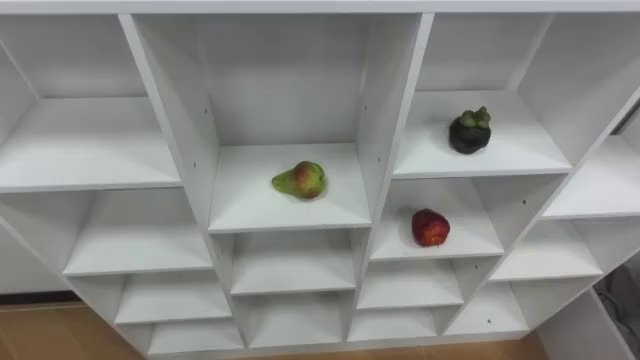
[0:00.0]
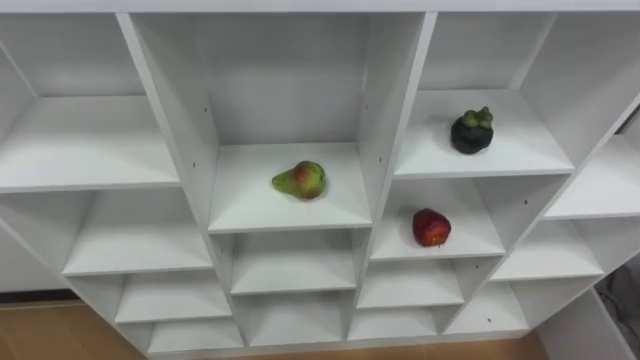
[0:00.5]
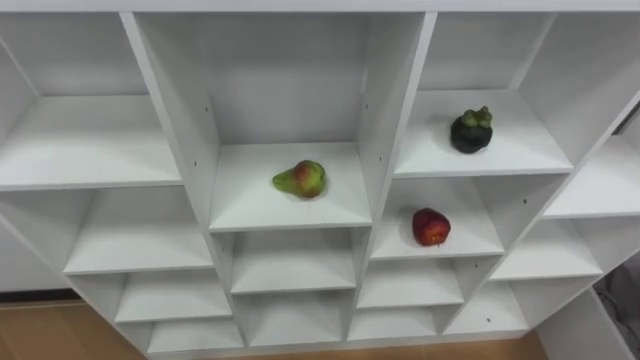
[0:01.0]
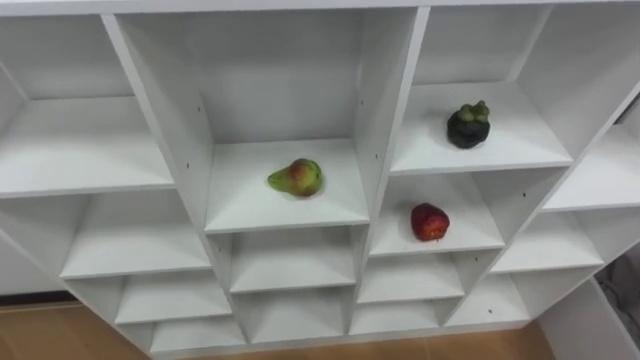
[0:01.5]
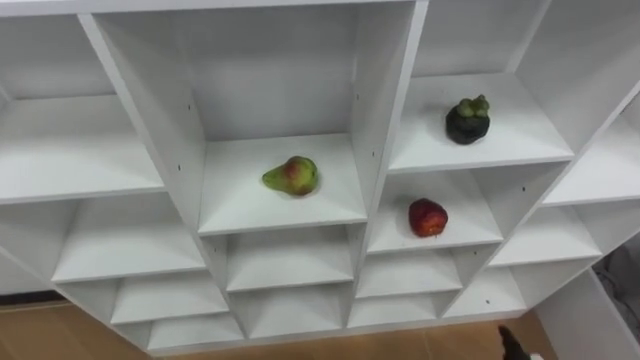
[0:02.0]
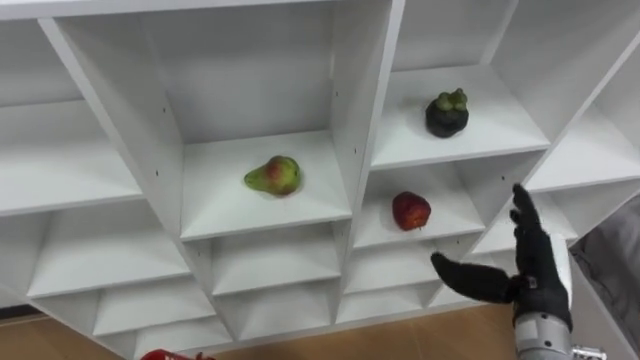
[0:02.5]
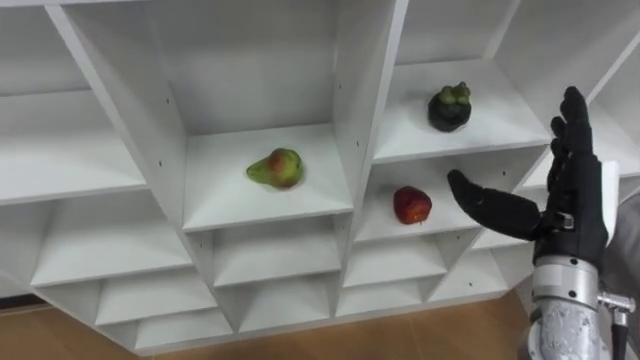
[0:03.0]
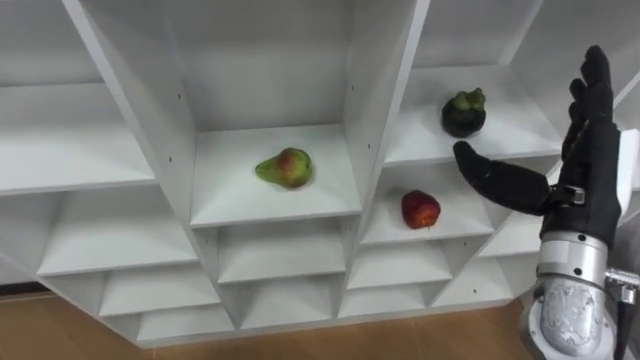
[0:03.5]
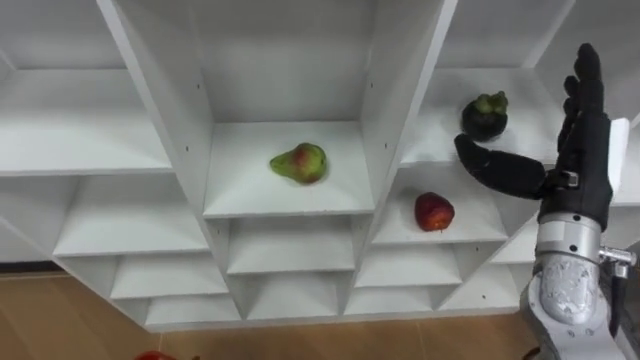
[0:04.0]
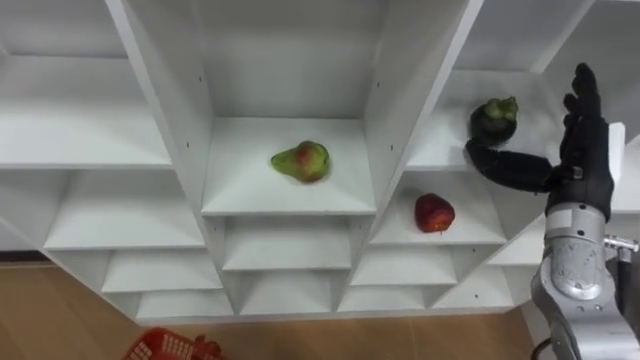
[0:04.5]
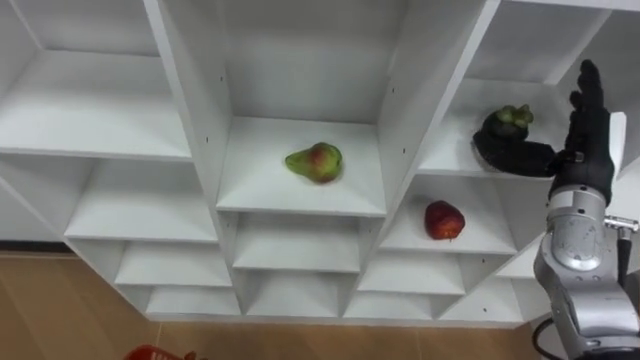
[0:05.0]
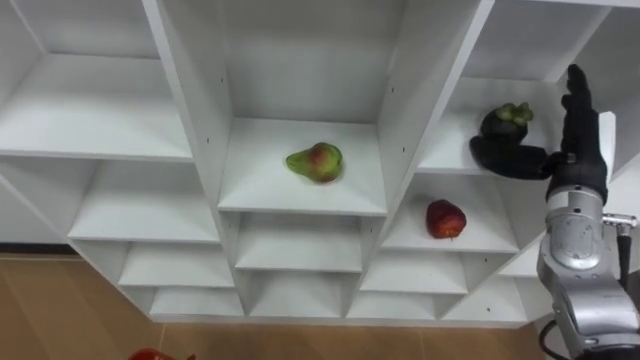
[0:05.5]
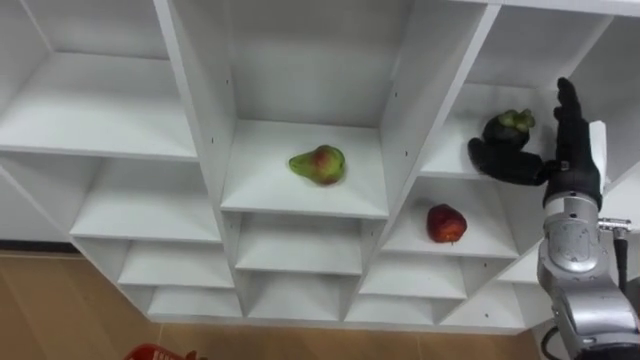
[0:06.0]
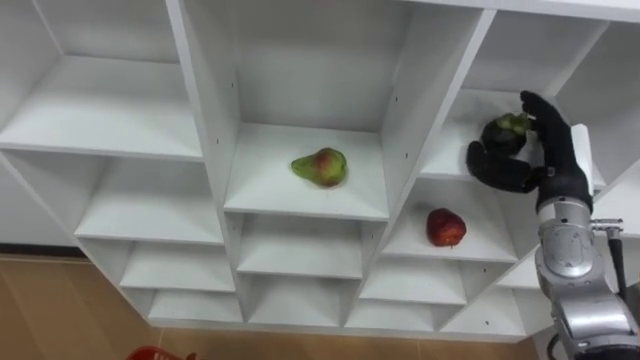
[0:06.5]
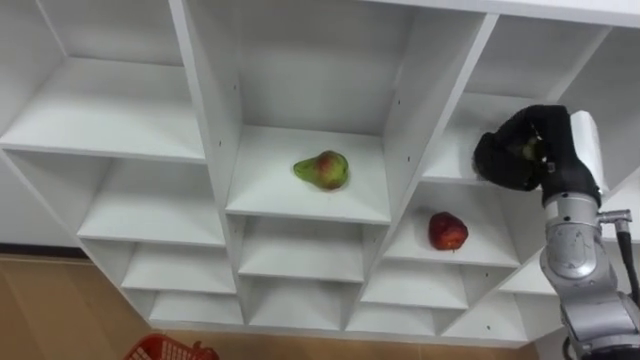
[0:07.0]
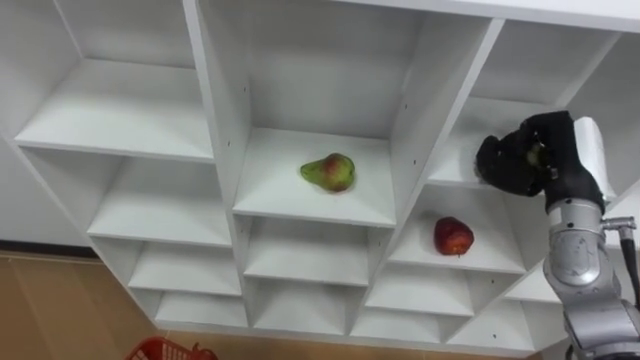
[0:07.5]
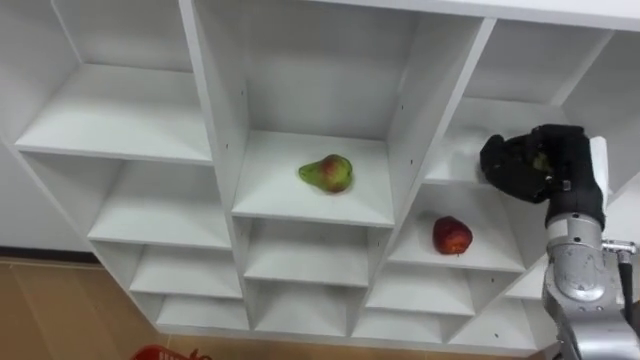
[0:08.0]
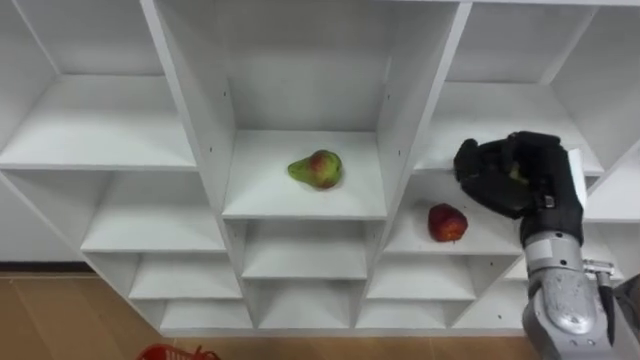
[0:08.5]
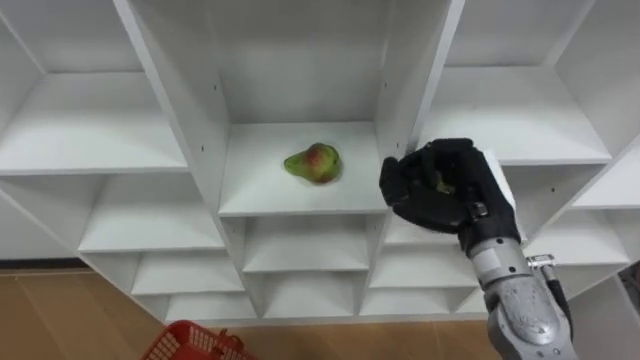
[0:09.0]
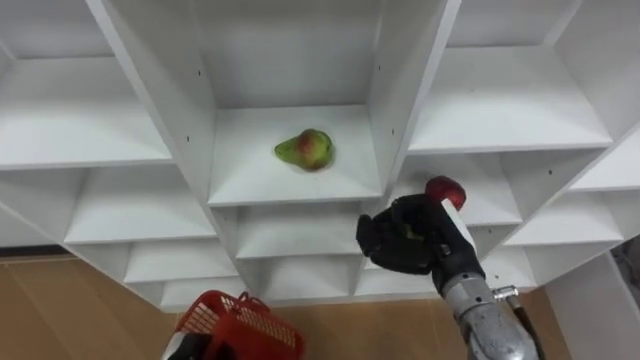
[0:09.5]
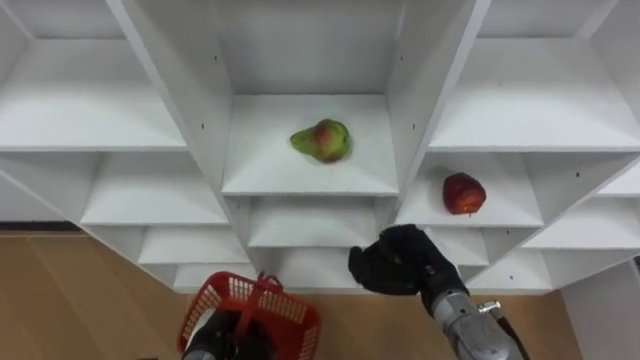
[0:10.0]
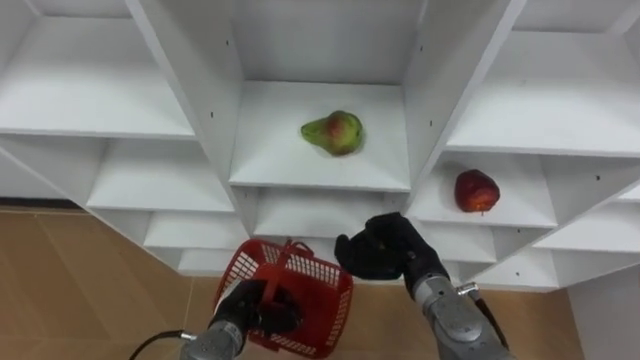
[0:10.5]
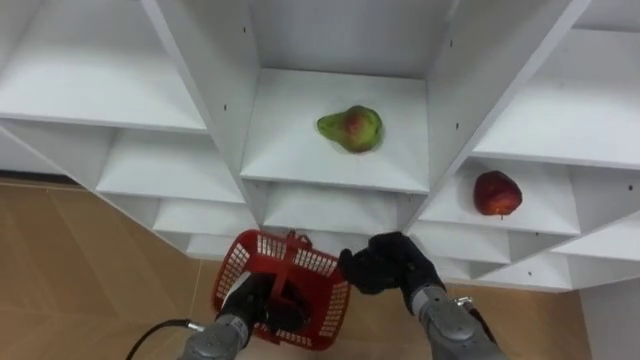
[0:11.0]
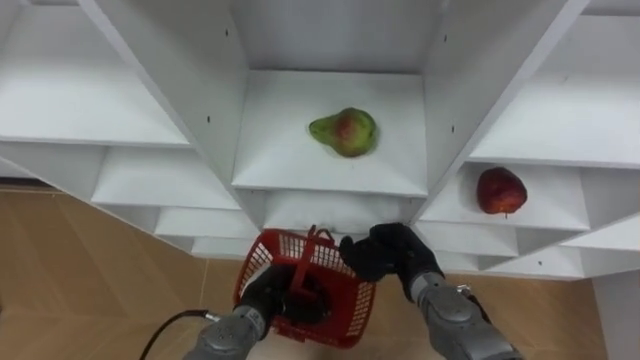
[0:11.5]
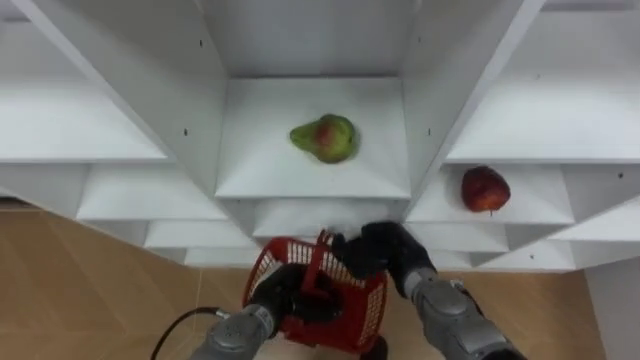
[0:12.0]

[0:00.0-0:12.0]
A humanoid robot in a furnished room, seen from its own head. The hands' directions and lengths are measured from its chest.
Task of the whole recording: Hold the basket and collect the fruits from 3 different cells of the closet into it.
0:04.0 to 0:06.0: The right hand is displaced downward and forward by roughly 5 cm.
0:06.0 to 0:08.0: The right hand closes its fingers.
0:08.0 to 0:10.0: The right hand travels to the left and downward by approximately 20 cm.
0:10.0 to 0:12.0: The right hand changes place by some 5 cm, while the left hand travels to the right and forward by some 10 cm.

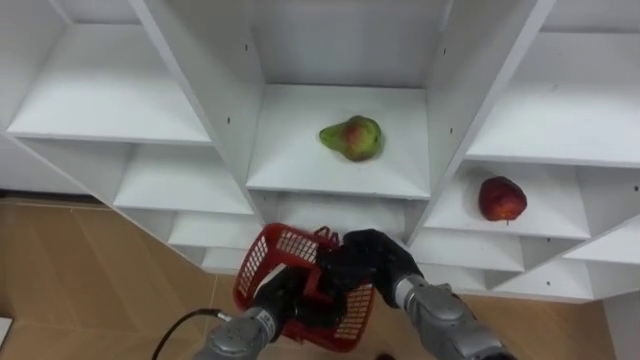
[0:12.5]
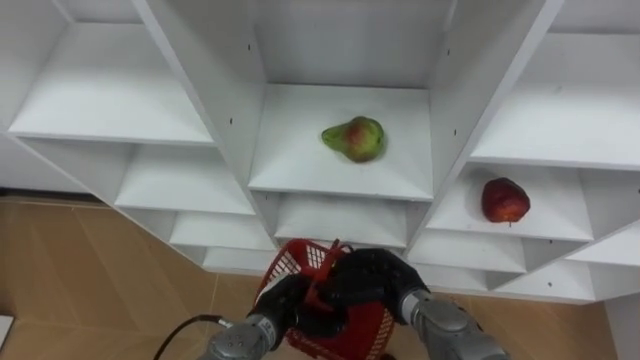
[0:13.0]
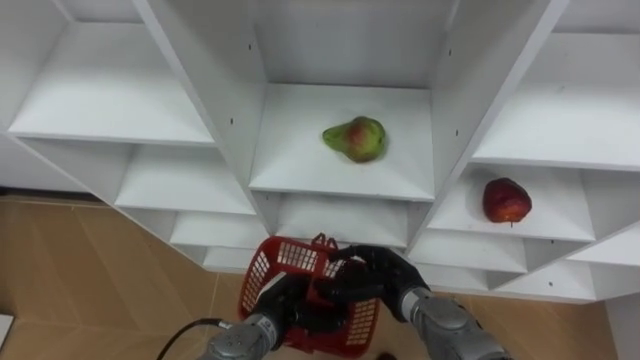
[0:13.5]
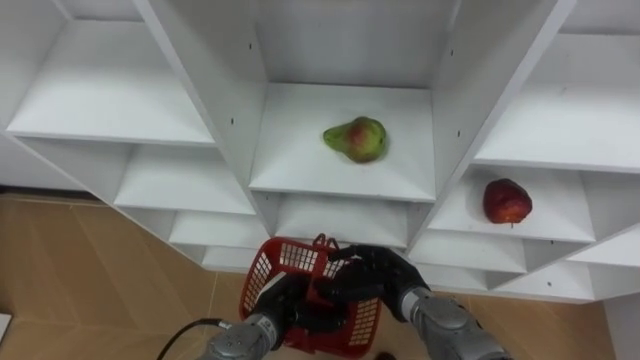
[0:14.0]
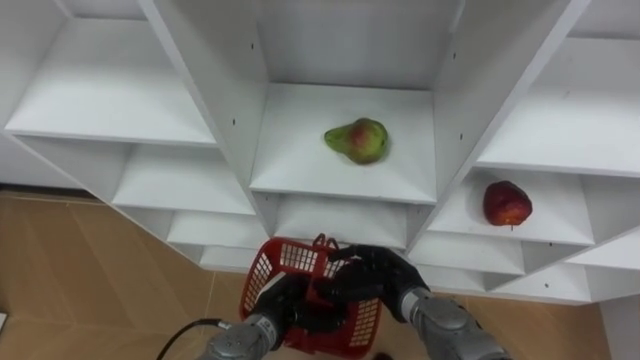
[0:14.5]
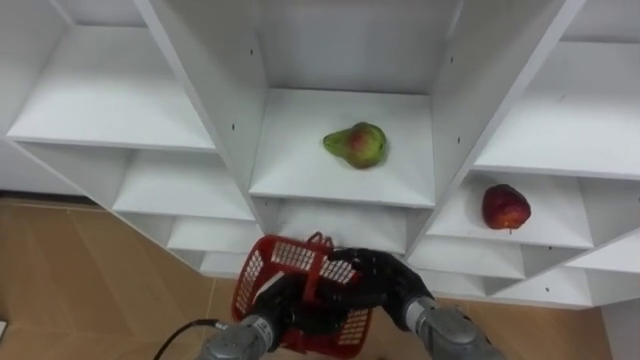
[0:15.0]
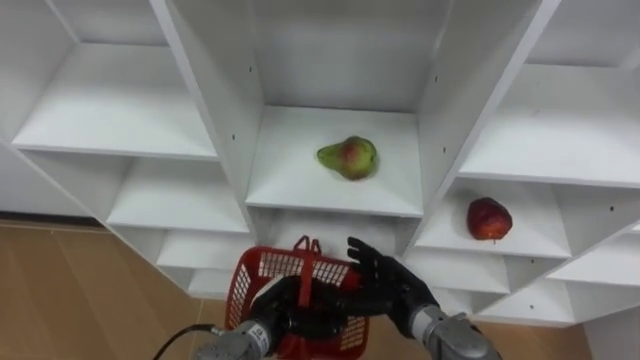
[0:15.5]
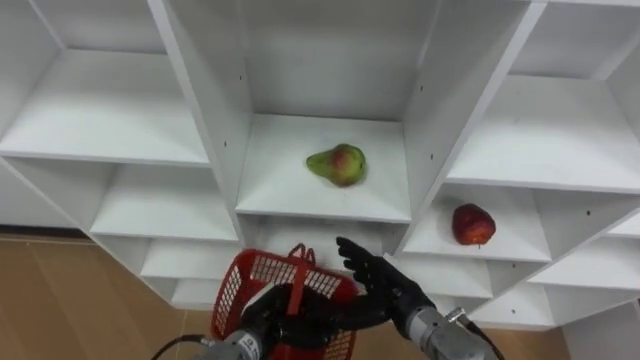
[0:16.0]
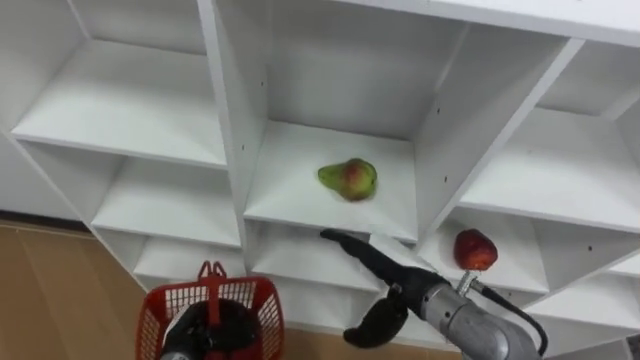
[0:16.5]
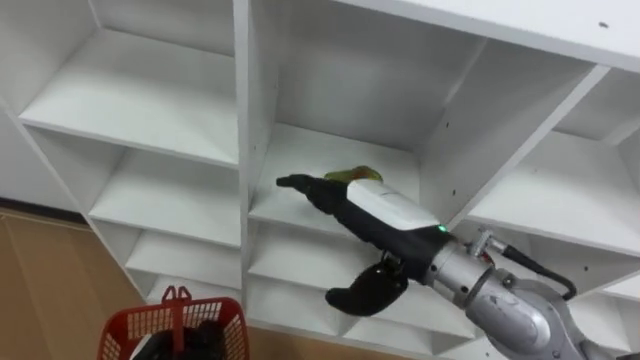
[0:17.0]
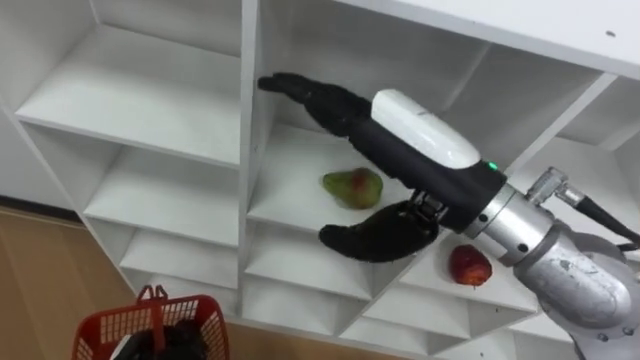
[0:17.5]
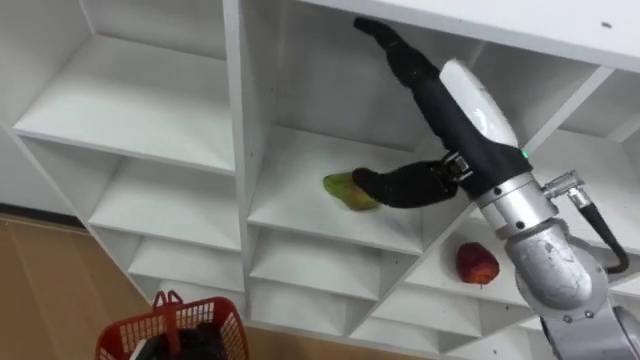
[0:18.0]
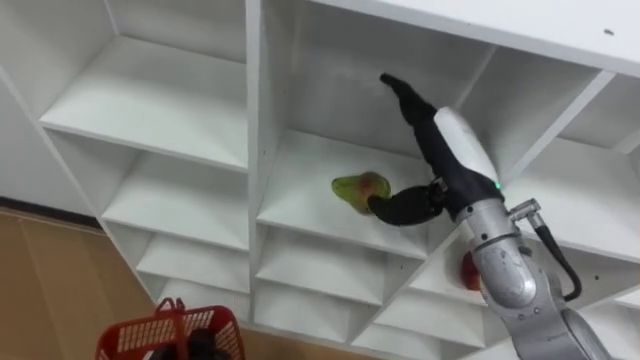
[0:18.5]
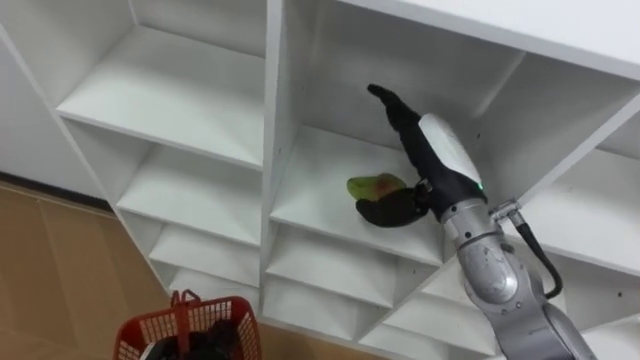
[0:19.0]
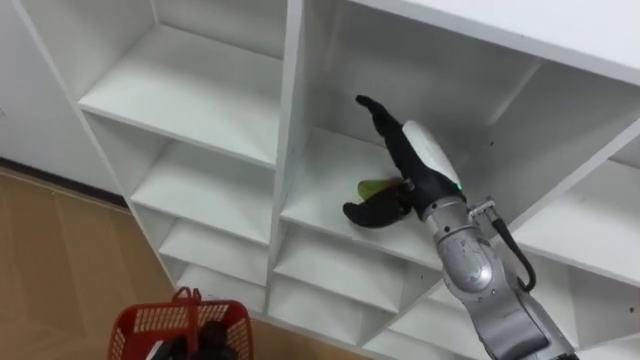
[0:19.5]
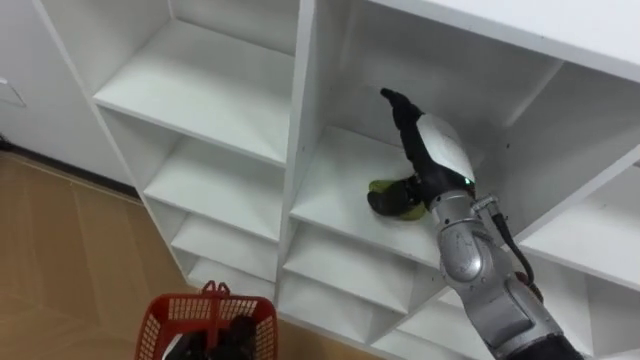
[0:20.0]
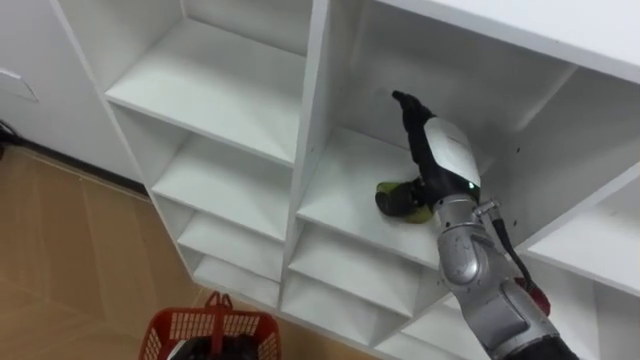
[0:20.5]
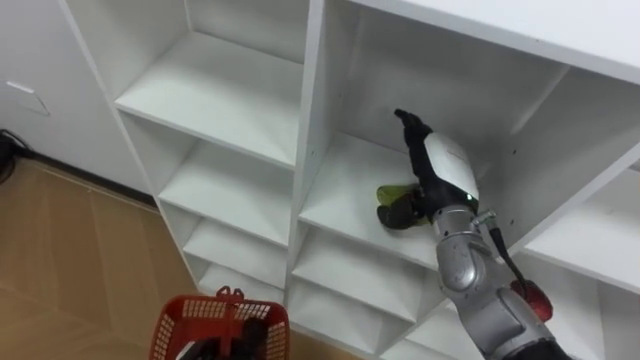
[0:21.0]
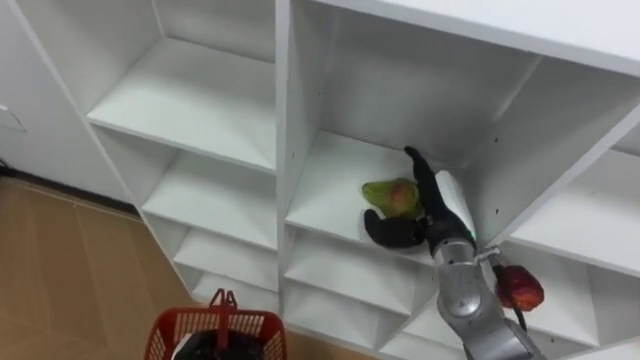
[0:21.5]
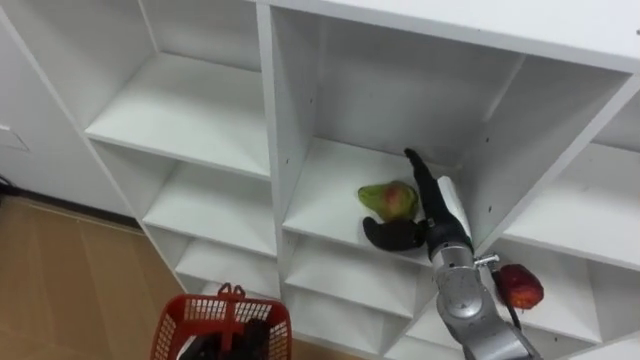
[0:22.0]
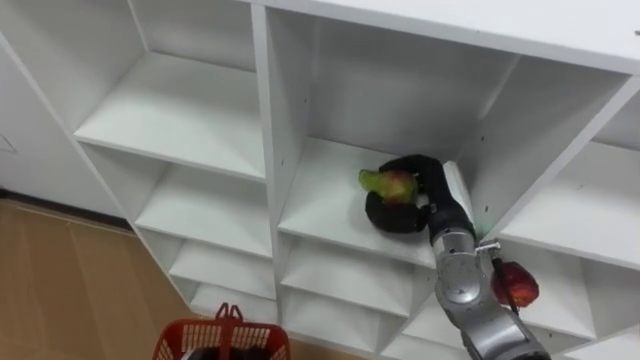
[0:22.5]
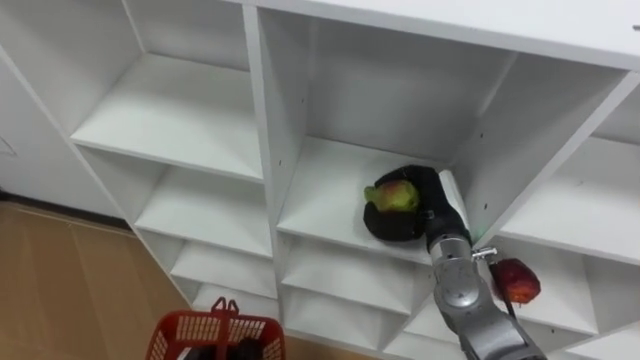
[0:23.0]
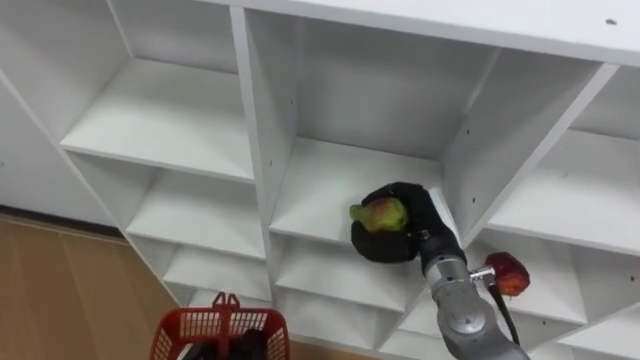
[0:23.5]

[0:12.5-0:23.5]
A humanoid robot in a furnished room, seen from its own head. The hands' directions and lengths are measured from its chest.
Task of the whole recording: Hold the basket and collect the fruits from 3 different cells of the closet into it.
0:12.5 to 0:14.5: The right hand opens its fingers.
0:16.0 to 0:18.0: The right hand goes approximately 30 cm upward.
0:18.0 to 0:20.0: The right hand goes some 15 cm downward and forward.
0:20.0 to 0:21.5: The right hand travels downward by about 5 cm.
0:21.5 to 0:23.5: The right hand closes up.